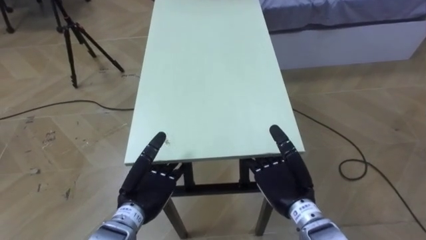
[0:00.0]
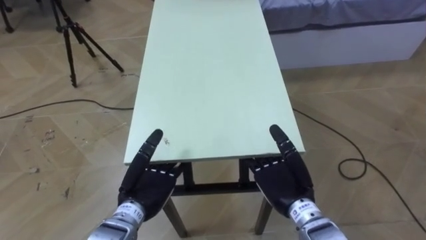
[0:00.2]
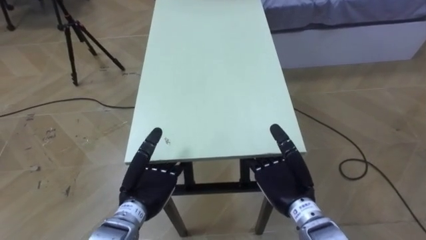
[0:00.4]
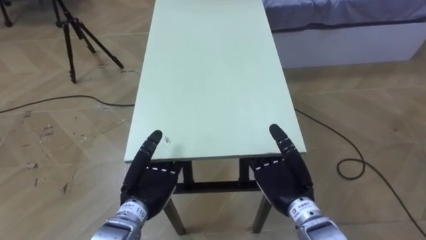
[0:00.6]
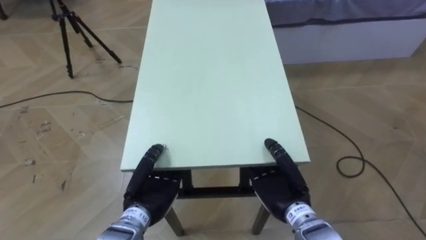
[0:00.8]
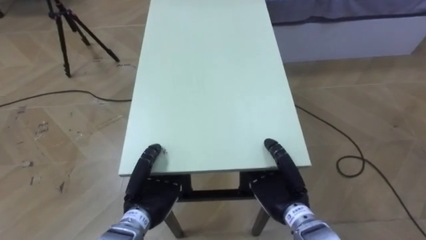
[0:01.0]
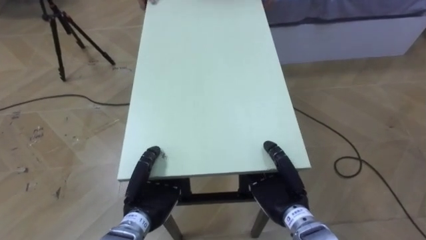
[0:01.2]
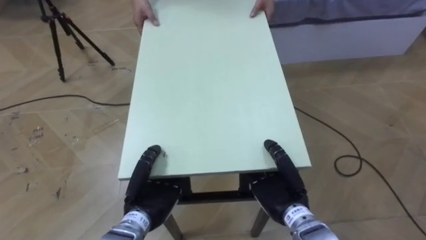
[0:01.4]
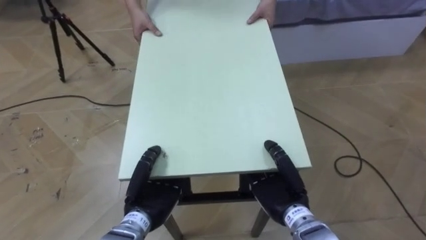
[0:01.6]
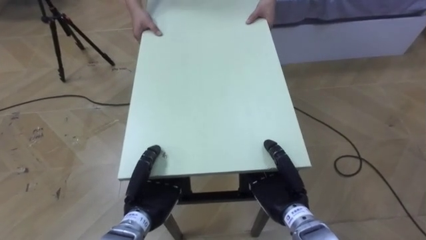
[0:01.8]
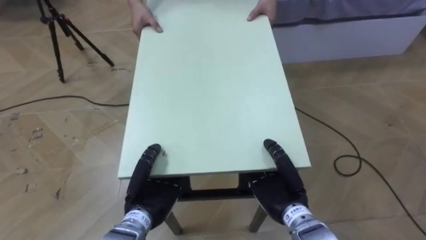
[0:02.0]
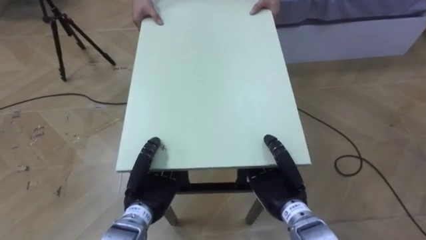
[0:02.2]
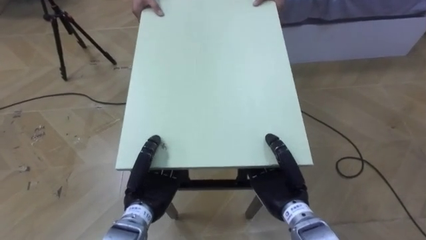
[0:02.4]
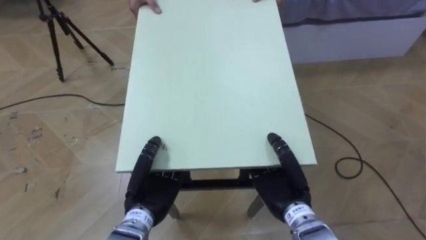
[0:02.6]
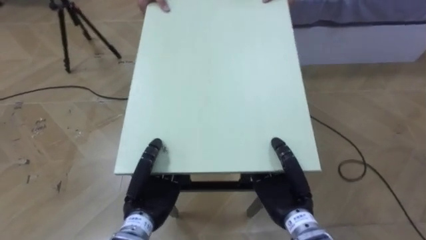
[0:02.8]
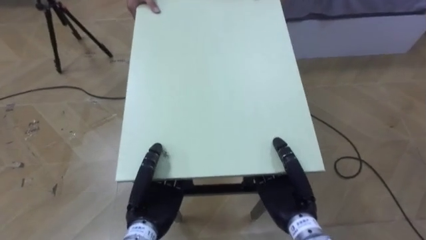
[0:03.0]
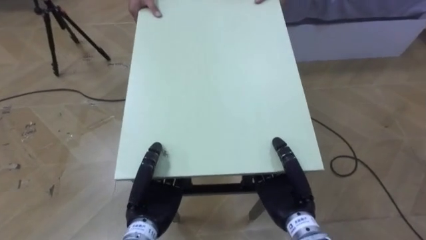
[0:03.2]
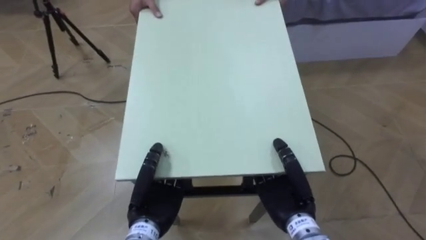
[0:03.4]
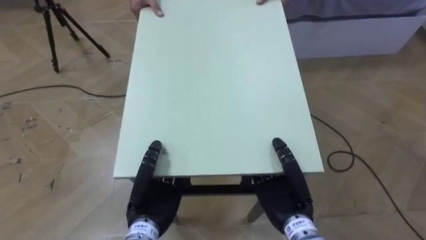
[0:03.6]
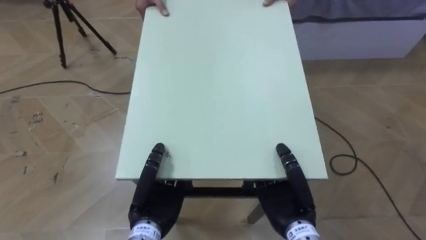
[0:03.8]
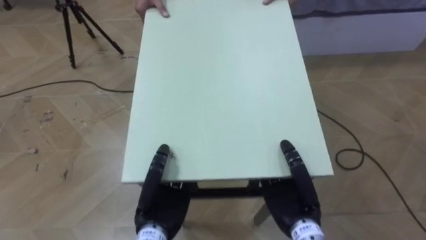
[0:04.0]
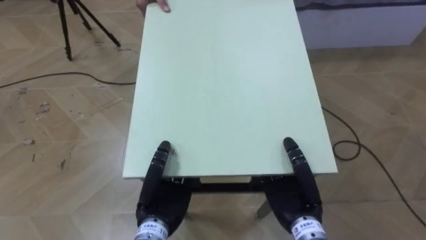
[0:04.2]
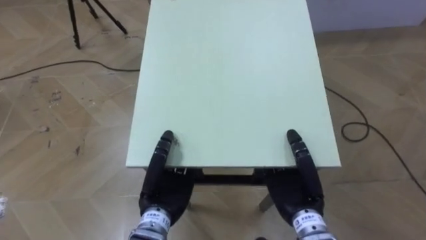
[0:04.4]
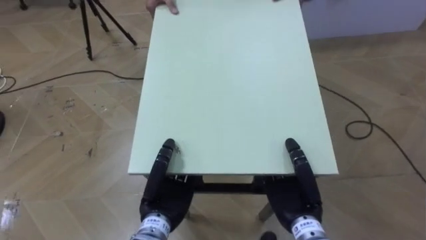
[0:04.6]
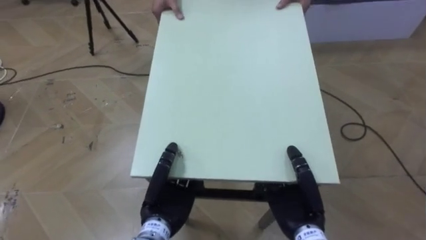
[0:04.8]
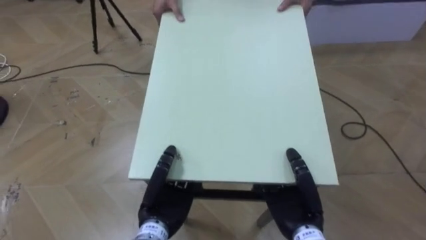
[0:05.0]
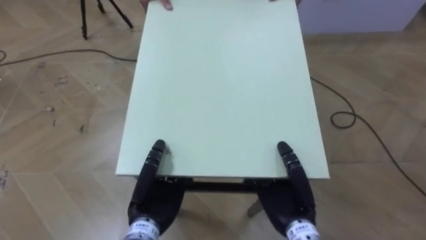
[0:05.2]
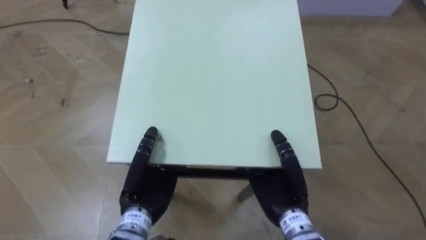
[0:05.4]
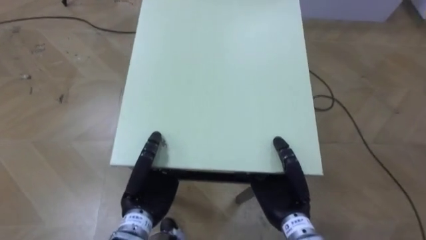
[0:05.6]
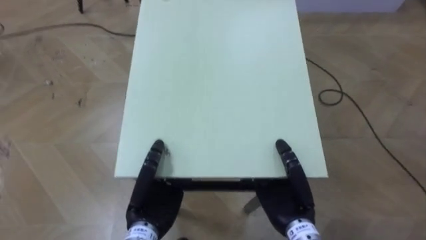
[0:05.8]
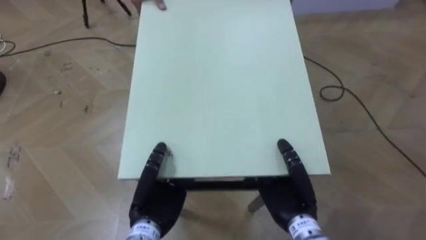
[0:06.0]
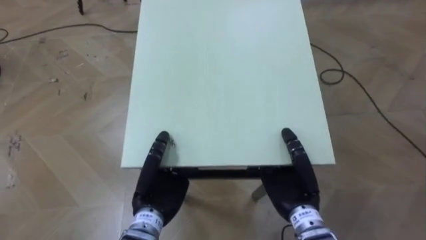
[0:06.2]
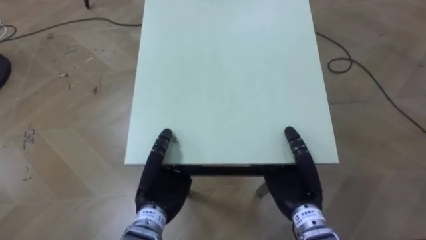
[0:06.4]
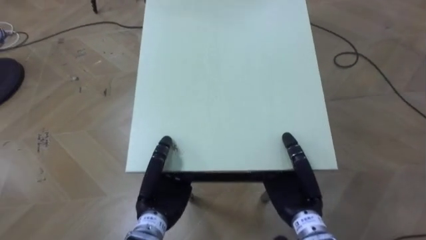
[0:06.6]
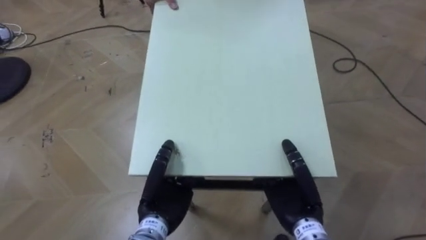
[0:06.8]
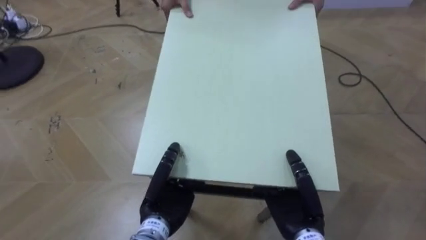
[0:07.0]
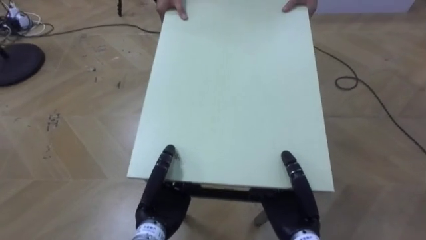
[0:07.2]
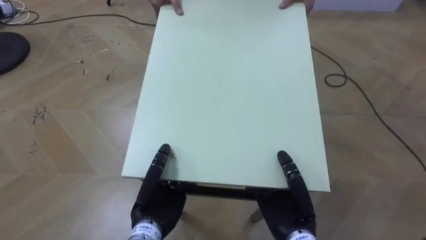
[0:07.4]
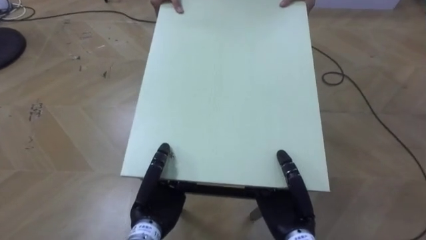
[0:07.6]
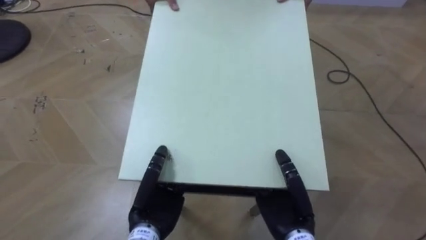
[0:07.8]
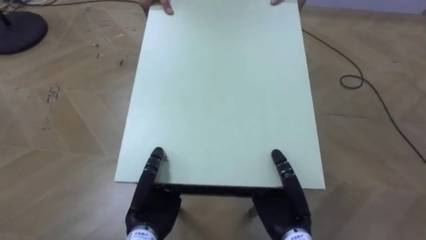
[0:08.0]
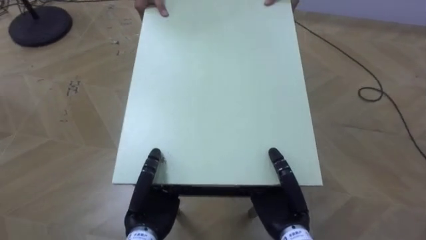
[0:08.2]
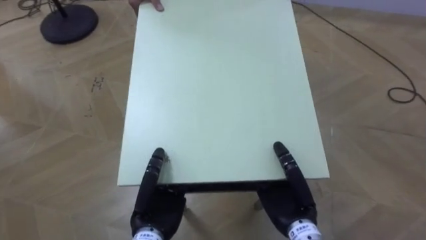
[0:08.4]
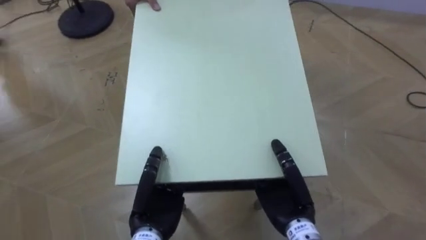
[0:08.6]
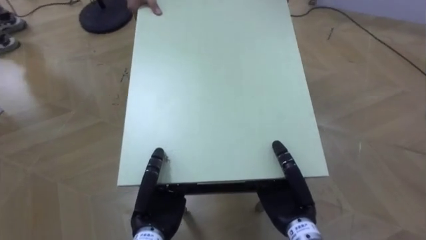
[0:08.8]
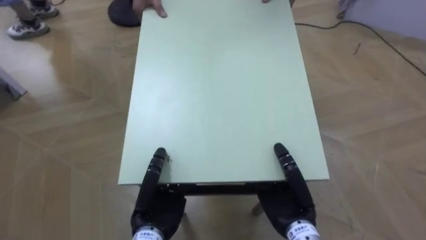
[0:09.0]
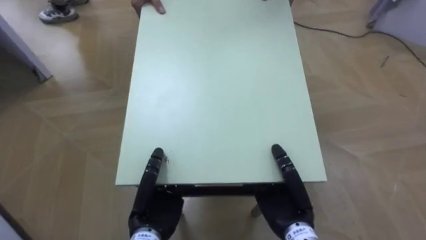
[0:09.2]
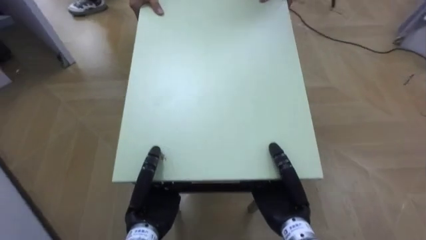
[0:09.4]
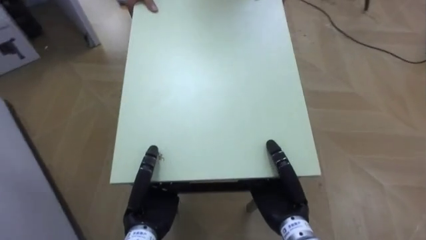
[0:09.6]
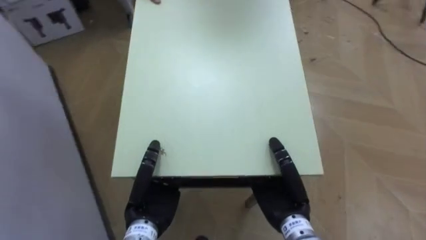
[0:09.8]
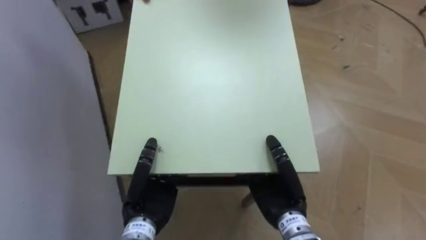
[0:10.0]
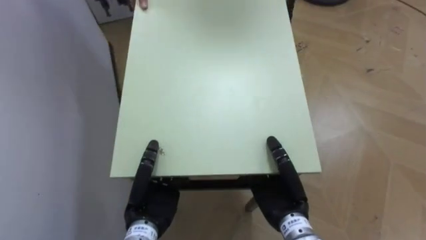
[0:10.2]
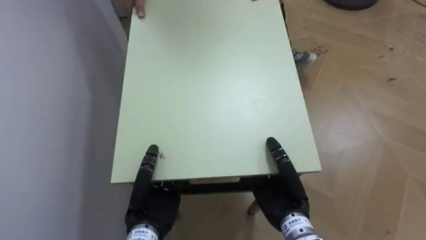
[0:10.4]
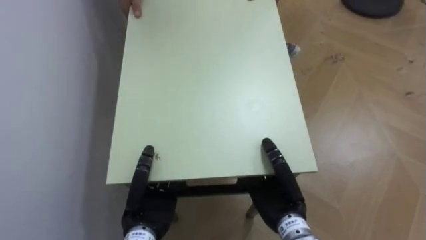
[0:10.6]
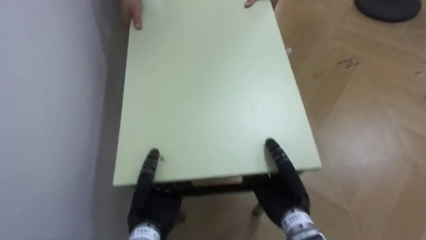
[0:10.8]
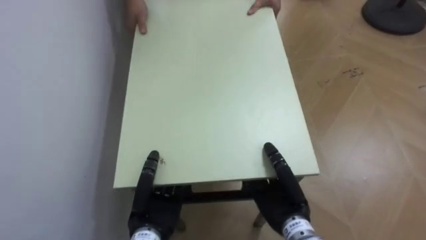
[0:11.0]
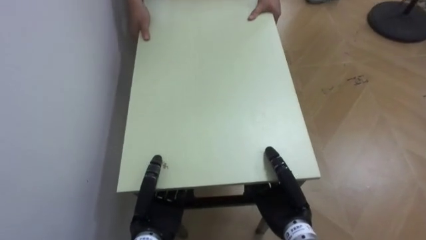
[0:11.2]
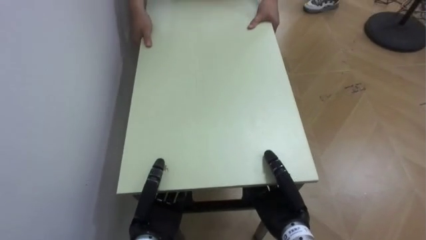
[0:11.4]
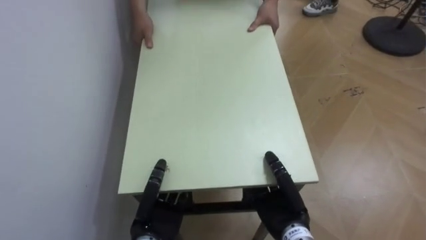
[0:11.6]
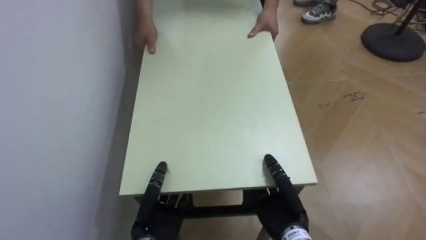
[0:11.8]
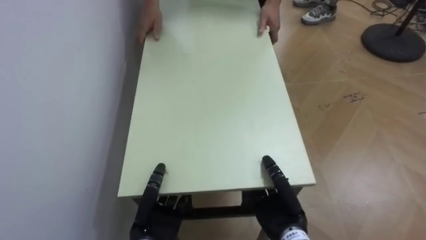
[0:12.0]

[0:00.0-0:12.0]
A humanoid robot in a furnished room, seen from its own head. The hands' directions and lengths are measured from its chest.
Task of the whole recording: Move the table to the back left with someone.
0:00.0 to 0:01.6: The left hand closes. Meanwhile the right hand closes its fingers.
0:07.6 to 0:09.0: The robot faces about 30 degrees further to its left.
0:09.0 to 0:10.4: The robot turns to its left by roughly 45 degrees.
0:10.4 to 0:12.0: The left hand goes about 5 cm downward.

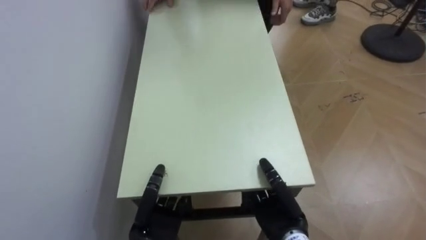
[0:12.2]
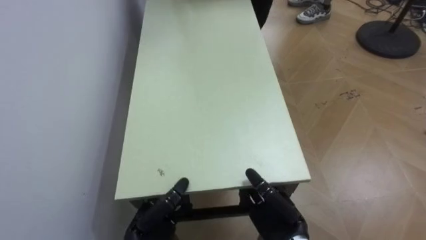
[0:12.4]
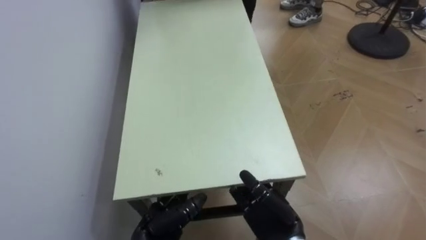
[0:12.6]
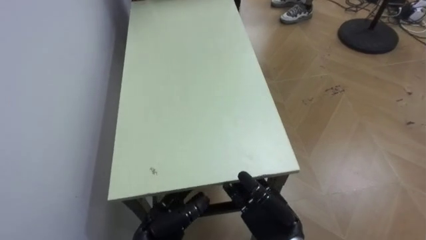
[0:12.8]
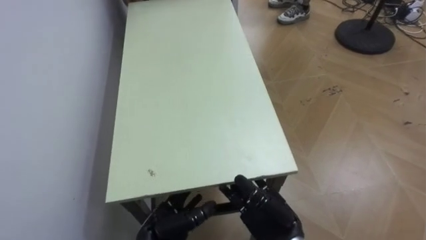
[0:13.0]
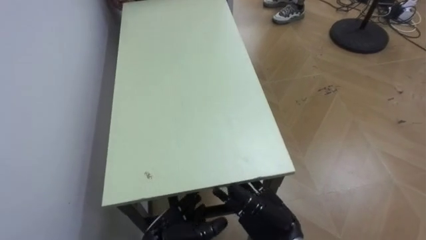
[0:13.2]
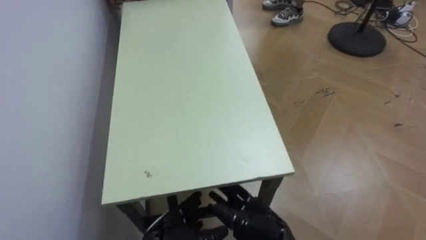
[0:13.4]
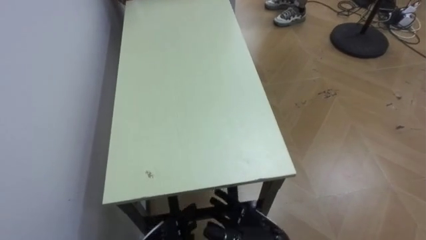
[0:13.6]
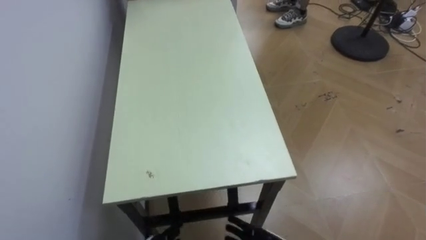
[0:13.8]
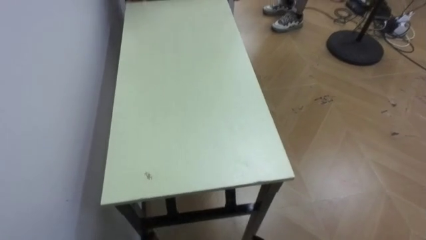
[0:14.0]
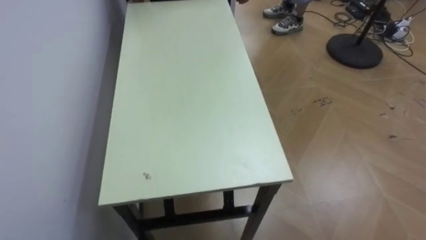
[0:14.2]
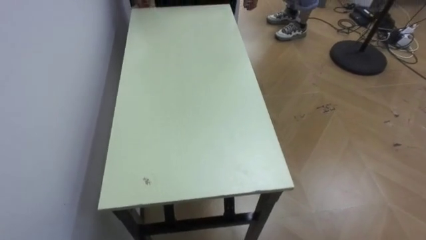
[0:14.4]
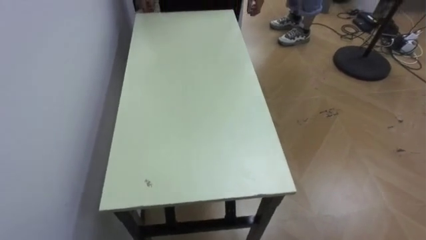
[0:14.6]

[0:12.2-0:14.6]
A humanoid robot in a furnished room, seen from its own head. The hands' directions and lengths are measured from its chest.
Task of the whole recording: Move the table to the back left with someone.
0:12.2 to 0:13.4: The right hand opens up. The left hand opens its fingers.

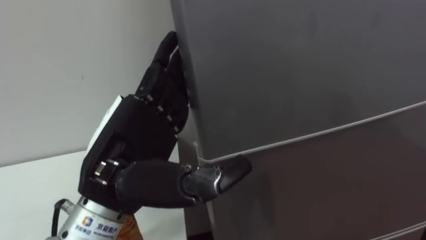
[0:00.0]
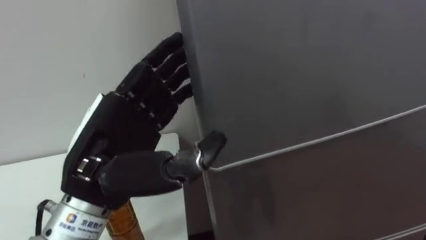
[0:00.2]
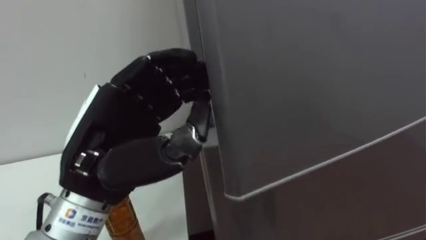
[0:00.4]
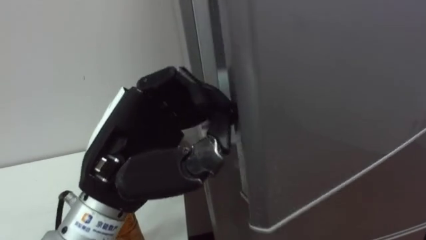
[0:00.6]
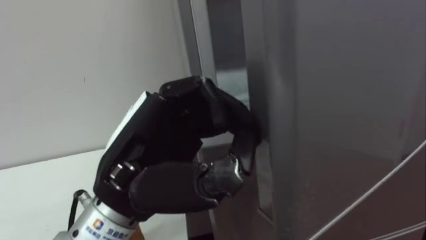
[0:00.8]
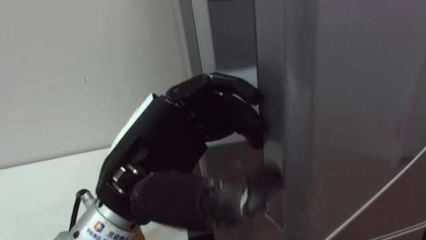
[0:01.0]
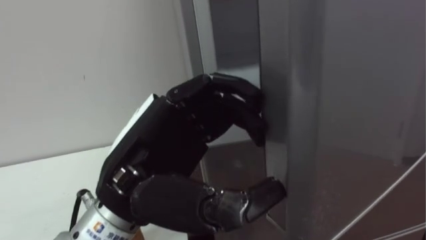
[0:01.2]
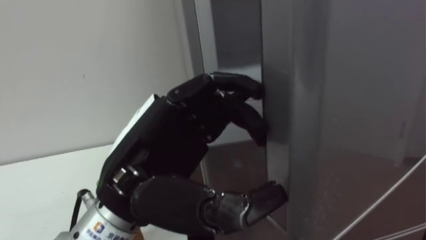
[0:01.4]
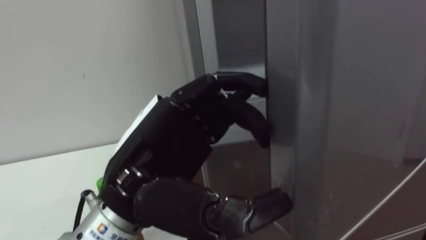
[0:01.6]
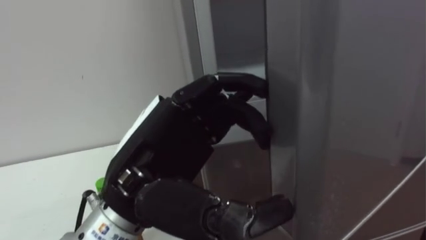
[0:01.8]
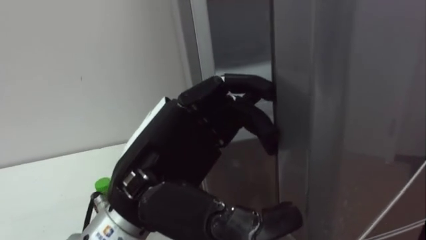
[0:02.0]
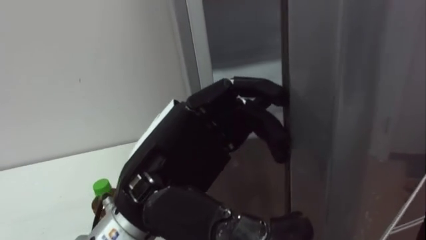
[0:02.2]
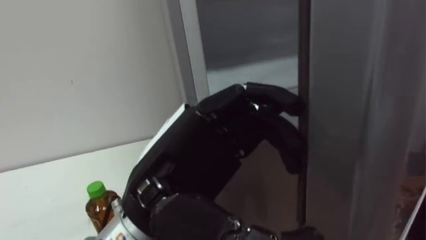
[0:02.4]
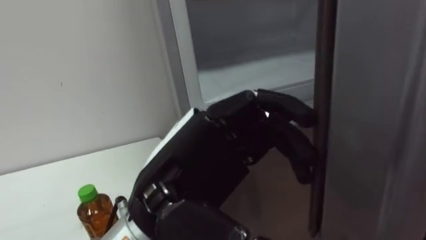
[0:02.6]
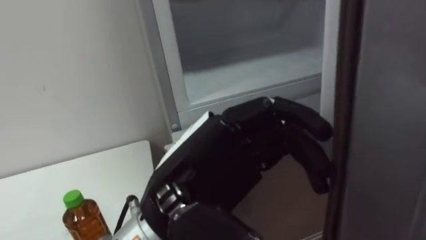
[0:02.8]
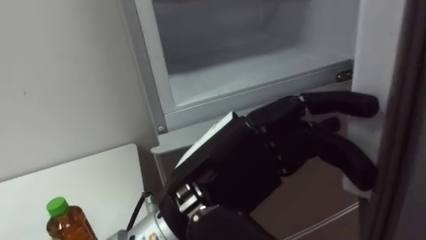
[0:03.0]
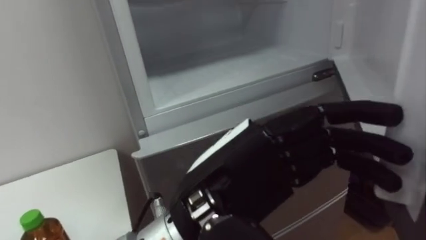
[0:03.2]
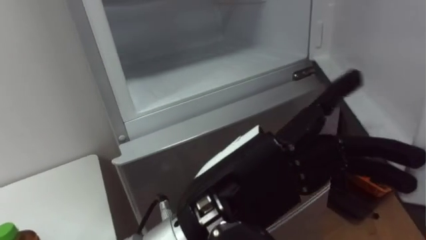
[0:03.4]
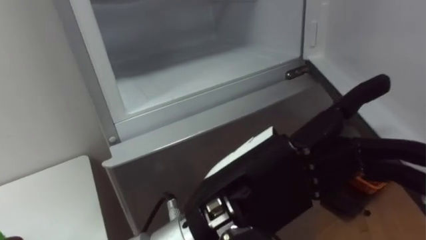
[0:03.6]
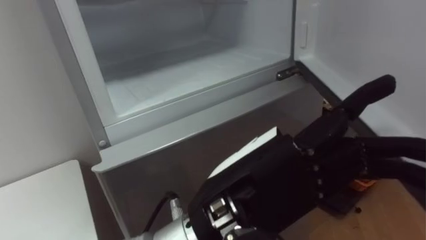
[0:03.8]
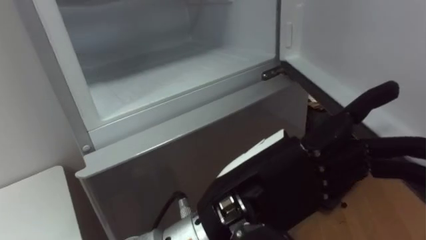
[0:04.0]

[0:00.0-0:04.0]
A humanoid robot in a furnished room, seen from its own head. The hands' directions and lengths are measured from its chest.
Task of the whole recording: Open the upper refrigerator door, put the drink from the table into the refrigerator, and then close the refrigerator door.
0:00.0 to 0:01.4: The left hand closes and opens again.
0:02.6 to 0:04.0: The robot's body swings roughly 15 degrees to its right. The left hand travels to the right by approximately 5 cm.
